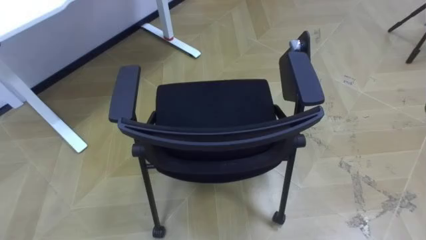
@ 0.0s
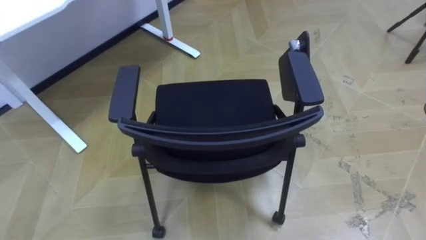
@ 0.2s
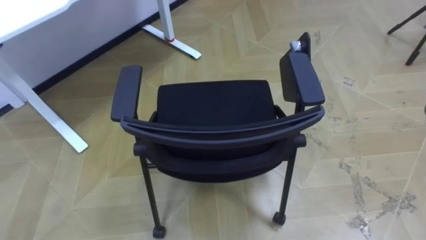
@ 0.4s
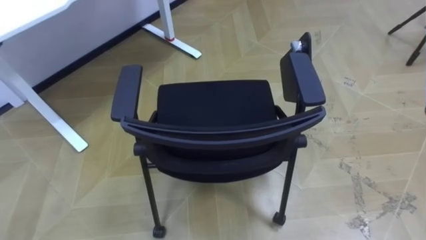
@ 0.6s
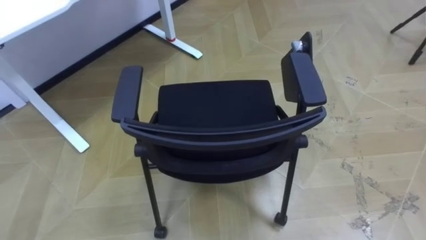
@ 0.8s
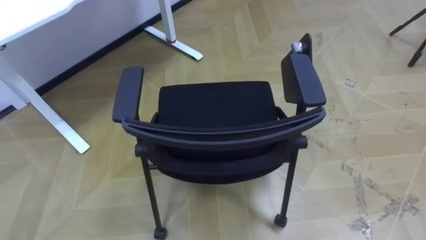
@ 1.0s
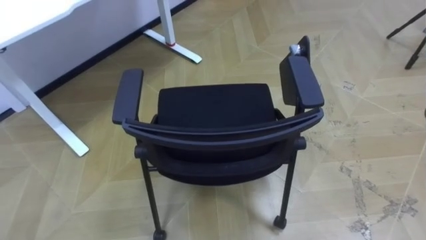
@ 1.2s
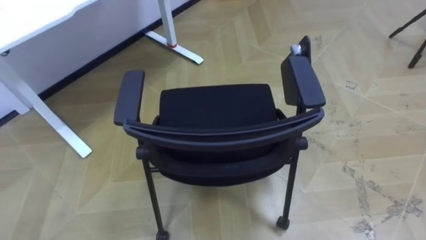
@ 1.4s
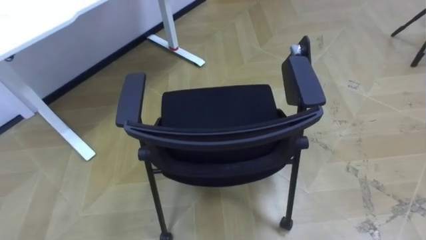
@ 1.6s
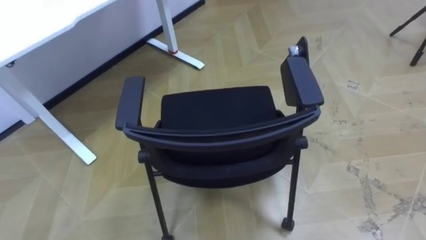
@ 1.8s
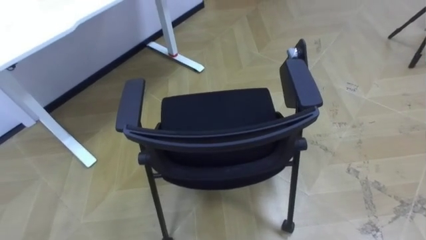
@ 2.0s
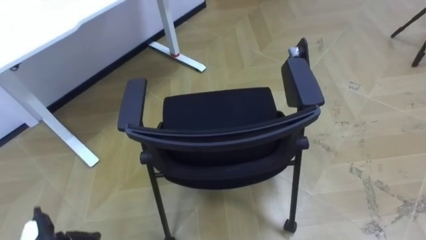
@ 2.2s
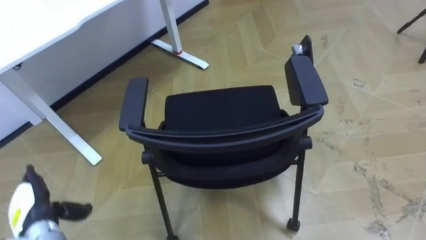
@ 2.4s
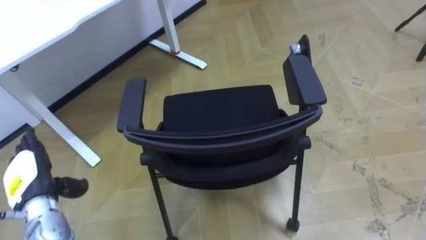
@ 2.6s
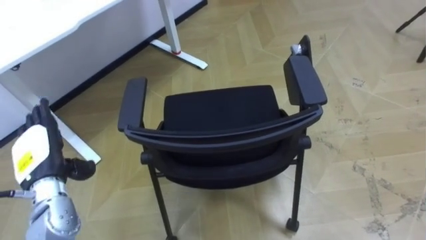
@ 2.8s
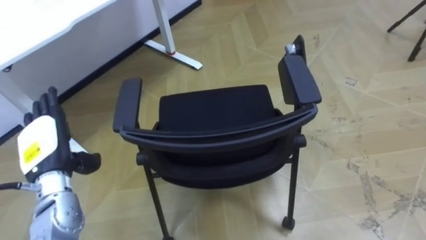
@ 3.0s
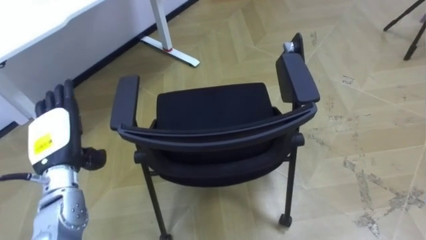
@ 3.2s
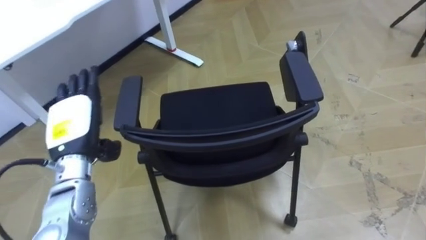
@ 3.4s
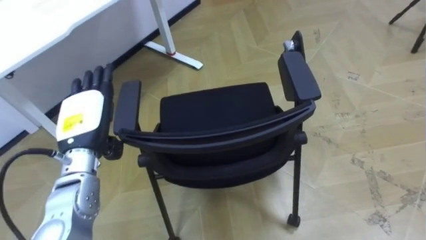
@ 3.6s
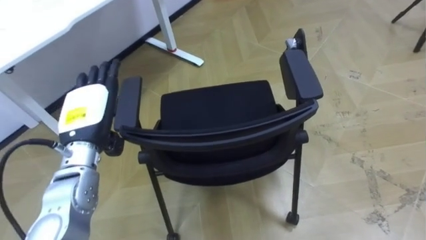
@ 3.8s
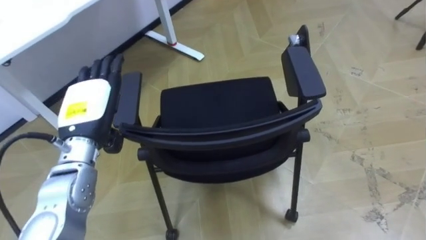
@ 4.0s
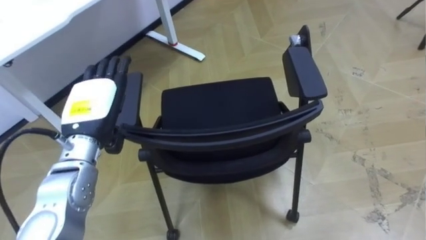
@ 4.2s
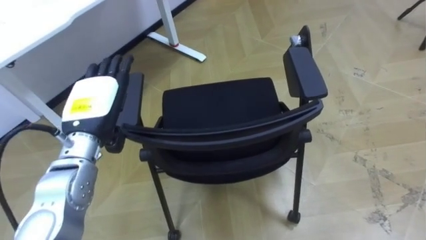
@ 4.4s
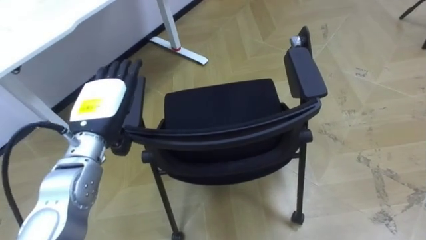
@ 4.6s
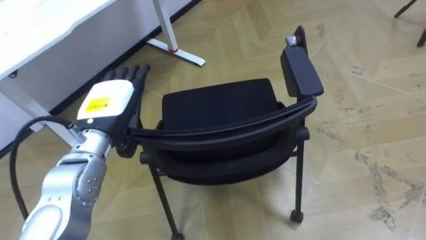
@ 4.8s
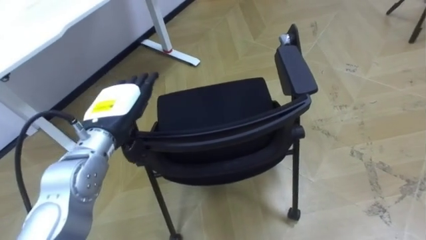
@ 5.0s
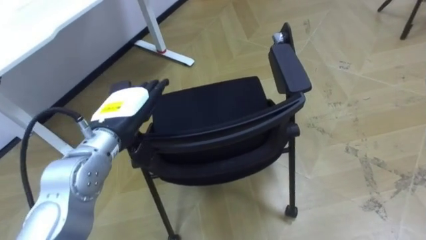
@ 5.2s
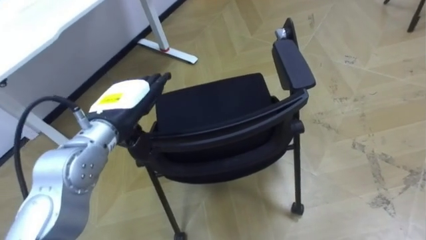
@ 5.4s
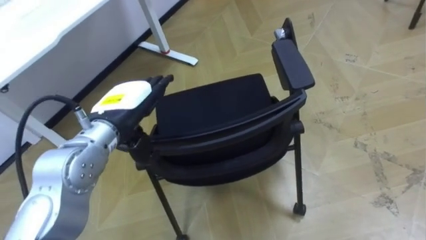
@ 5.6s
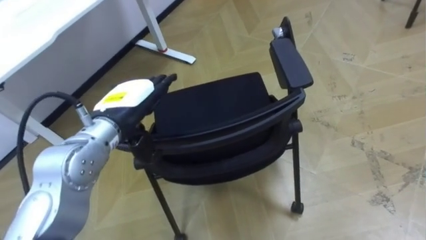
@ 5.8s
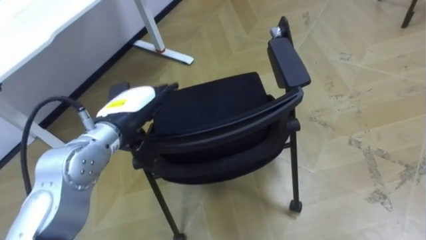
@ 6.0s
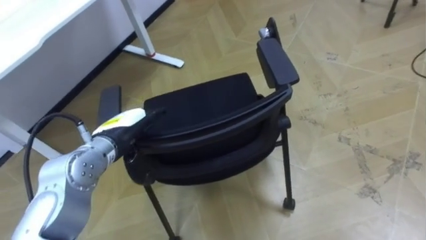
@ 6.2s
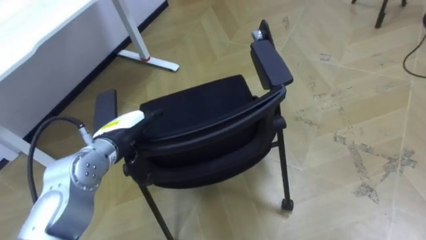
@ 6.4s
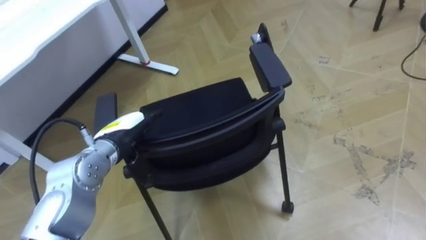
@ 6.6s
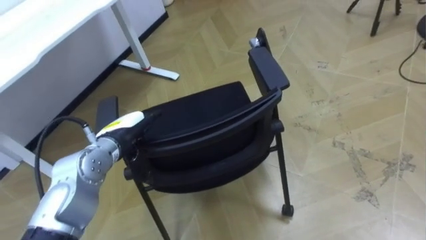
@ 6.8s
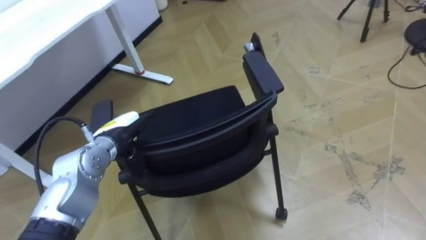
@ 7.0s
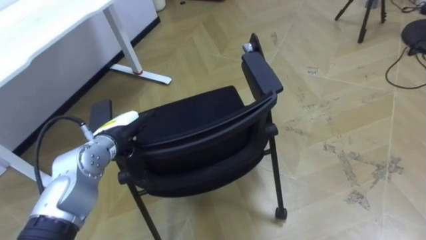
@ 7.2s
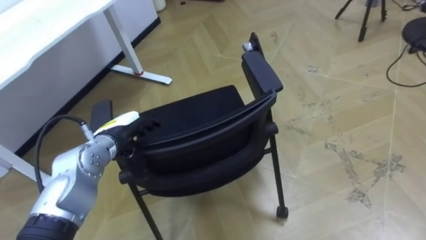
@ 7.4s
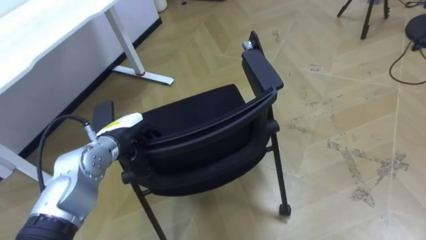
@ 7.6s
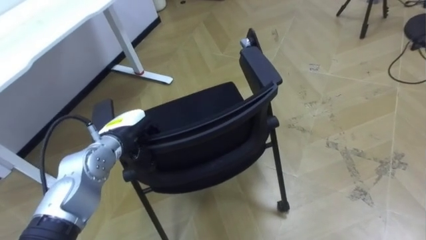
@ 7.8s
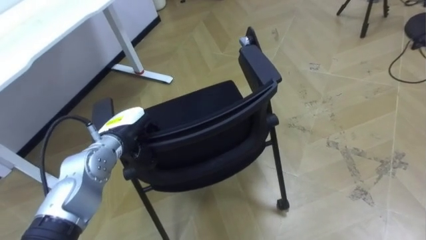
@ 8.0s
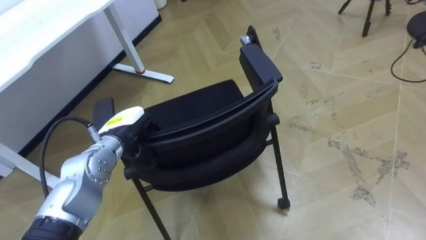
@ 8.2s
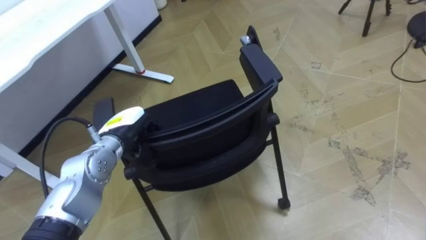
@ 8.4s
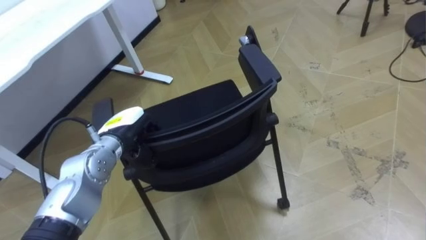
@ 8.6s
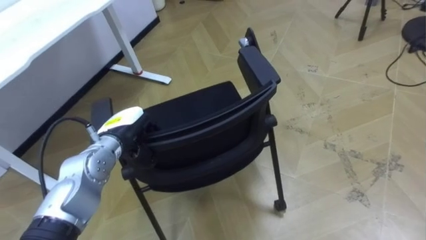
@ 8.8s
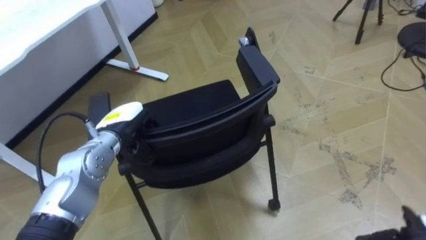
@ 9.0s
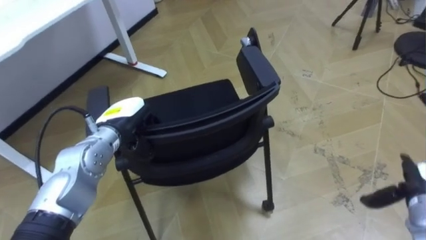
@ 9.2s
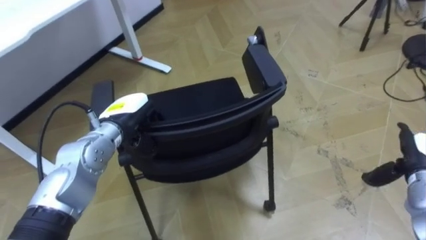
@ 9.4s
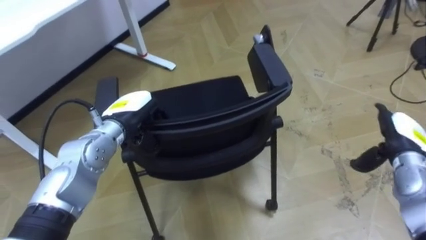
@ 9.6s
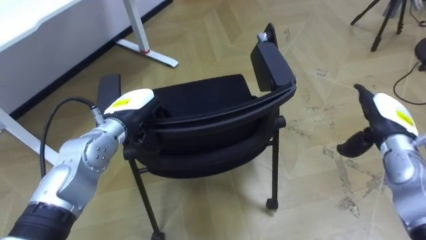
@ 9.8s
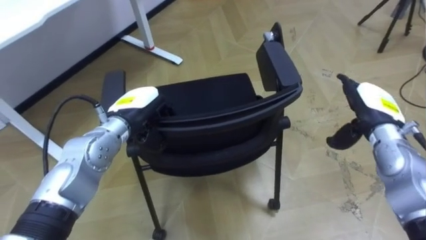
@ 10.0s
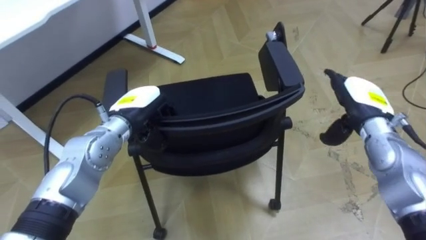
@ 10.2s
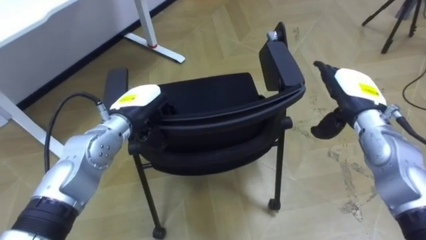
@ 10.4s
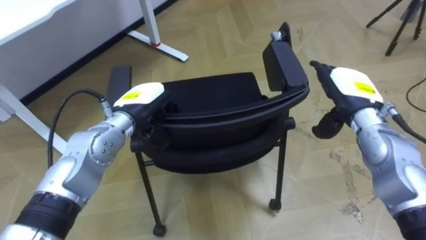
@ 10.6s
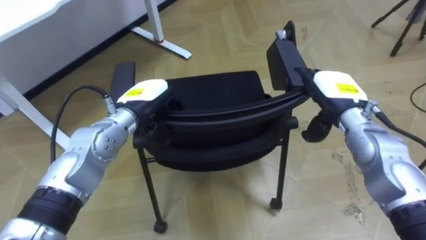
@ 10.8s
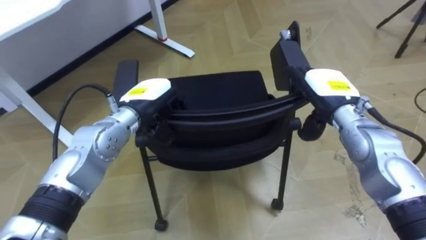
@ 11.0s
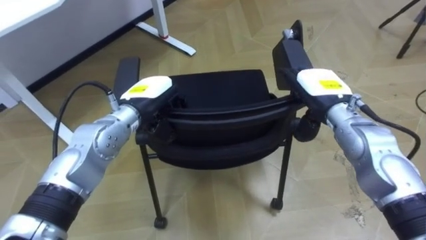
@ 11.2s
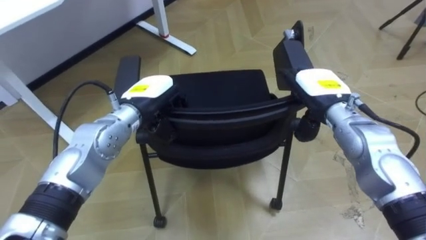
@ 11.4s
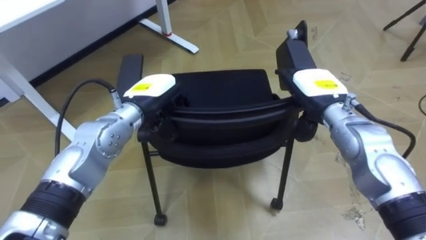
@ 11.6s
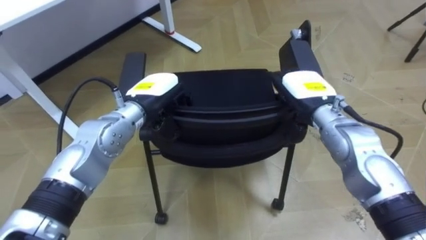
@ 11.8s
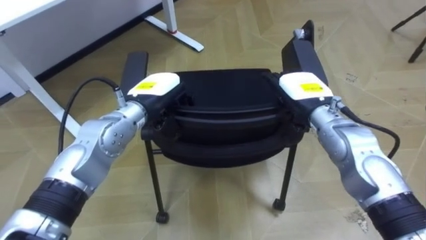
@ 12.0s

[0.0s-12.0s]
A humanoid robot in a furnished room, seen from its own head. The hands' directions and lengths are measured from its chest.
Task of the whole recording: Push the chair under the table.
3.0s to 4.4s: The left hand moves to the right and upward, approximately 10 cm.
4.4s to 6.0s: The left hand is displaced to the right by roughly 5 cm.
6.0s to 7.6s: The left hand shifts some 10 cm downward, and closes up.
9.0s to 10.4s: The left hand changes place by about 5 cm.
10.4s to 12.0s: The right hand shifts roughly 10 cm to the left.

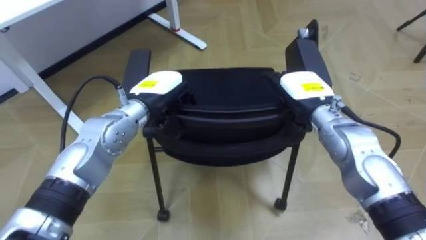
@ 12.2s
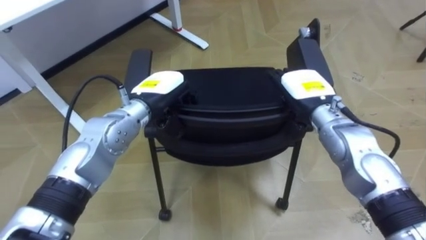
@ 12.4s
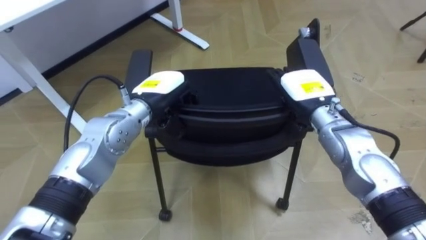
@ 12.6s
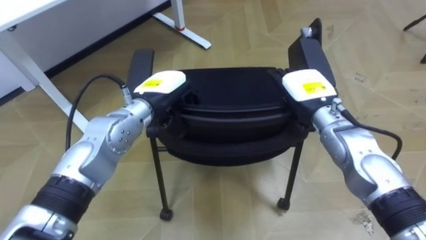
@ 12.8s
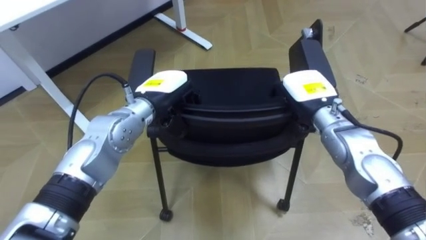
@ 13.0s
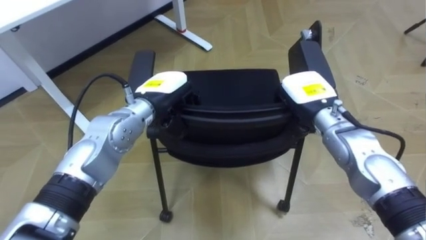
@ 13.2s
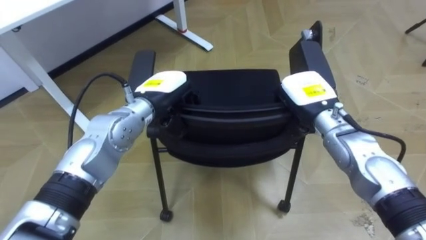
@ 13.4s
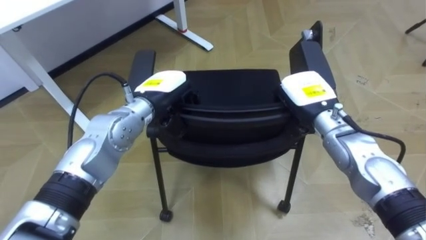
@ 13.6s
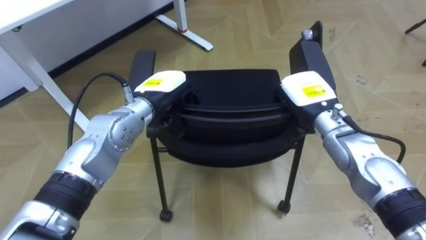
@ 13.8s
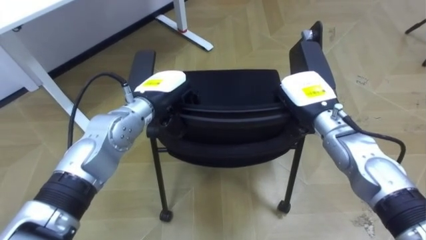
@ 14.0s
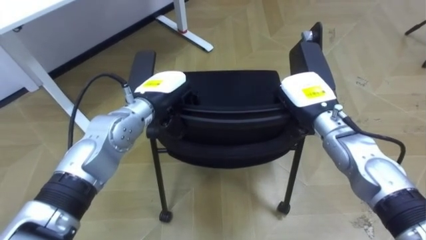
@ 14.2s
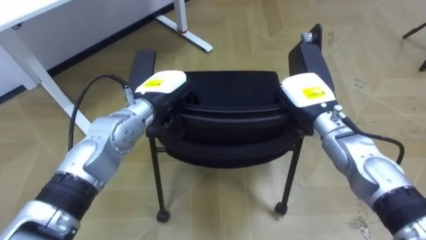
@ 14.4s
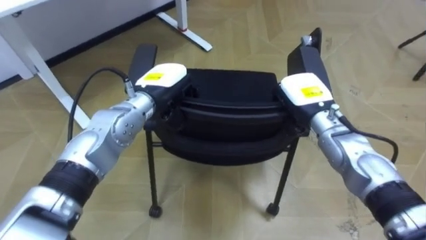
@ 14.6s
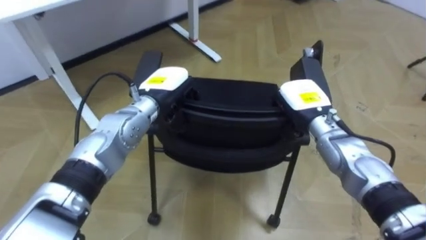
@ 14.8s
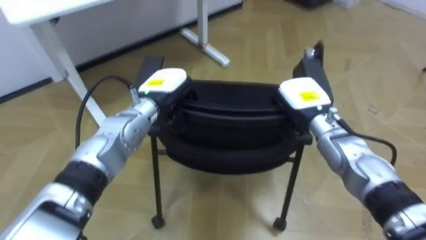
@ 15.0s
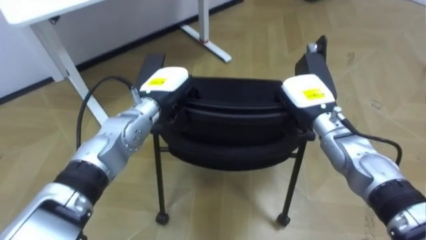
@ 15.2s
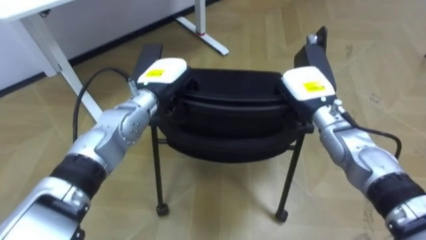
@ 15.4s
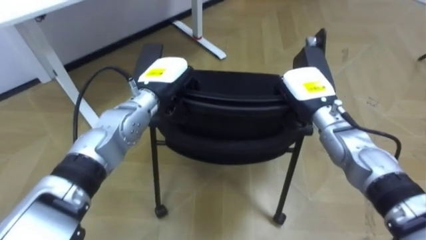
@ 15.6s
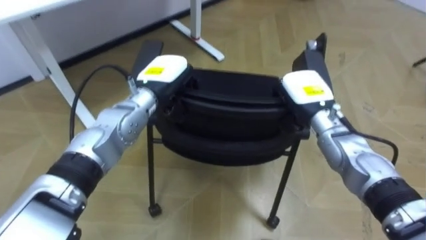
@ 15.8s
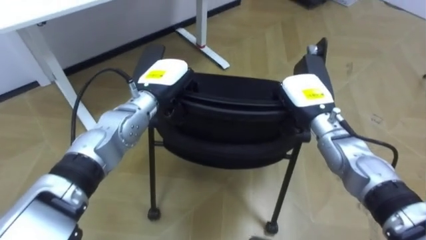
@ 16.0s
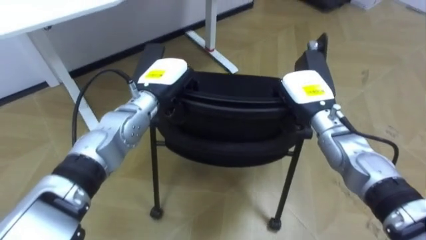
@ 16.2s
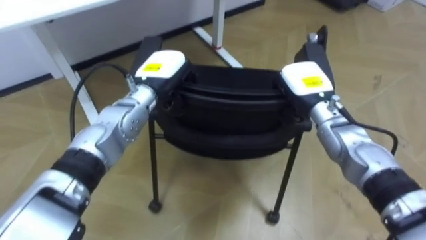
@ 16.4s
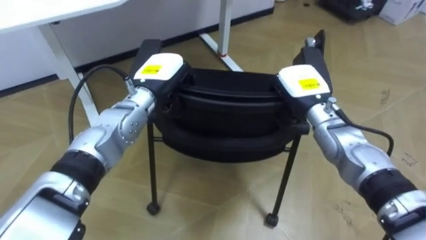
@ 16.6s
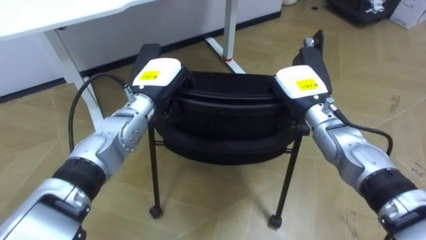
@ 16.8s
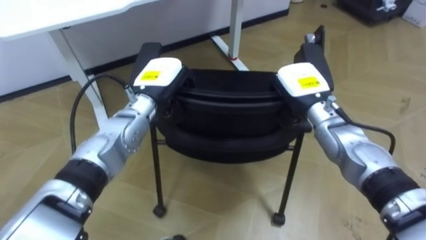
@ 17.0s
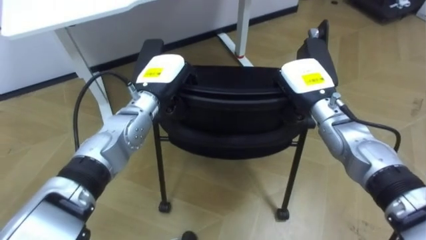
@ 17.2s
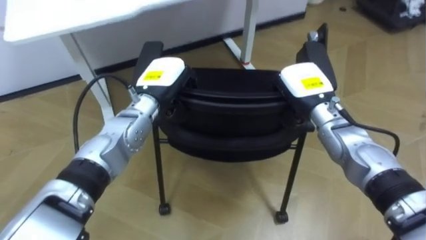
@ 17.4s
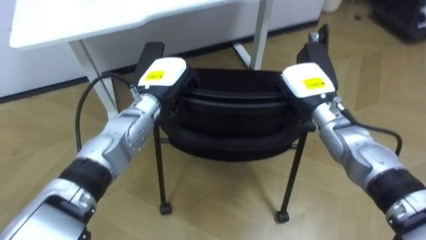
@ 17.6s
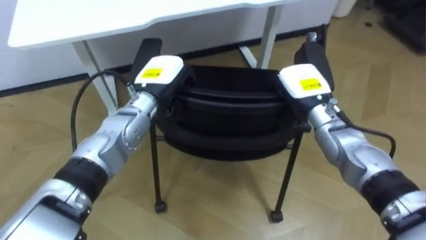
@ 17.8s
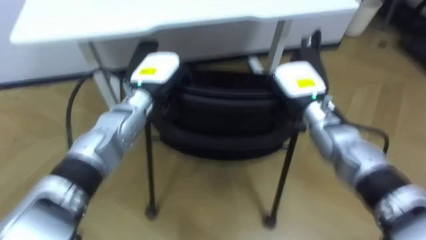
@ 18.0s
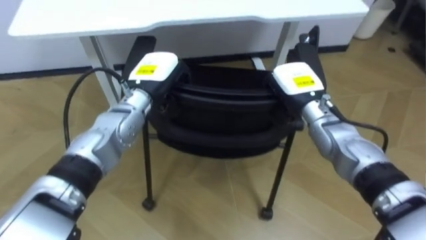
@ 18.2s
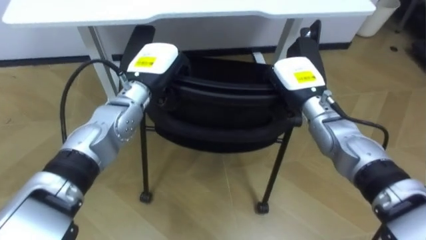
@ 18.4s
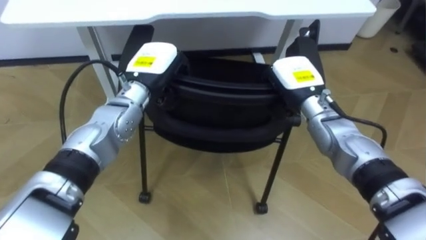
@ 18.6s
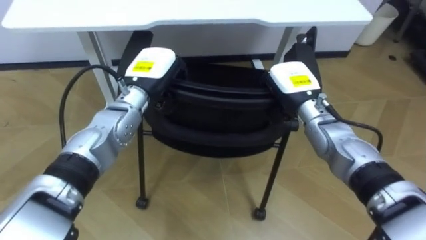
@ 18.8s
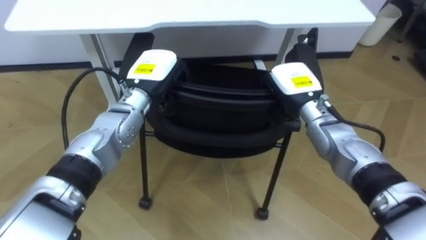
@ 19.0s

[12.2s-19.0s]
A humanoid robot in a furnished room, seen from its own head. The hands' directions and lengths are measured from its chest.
Task of the whole recording: Push the chair under the table.
12.2s to 13.6s: The right hand closes.
